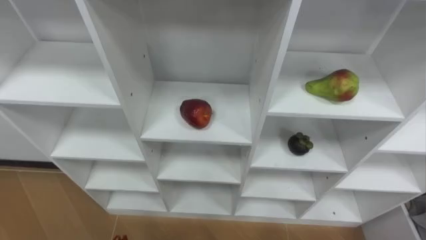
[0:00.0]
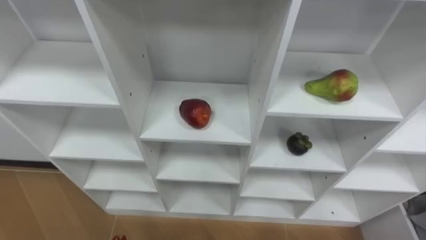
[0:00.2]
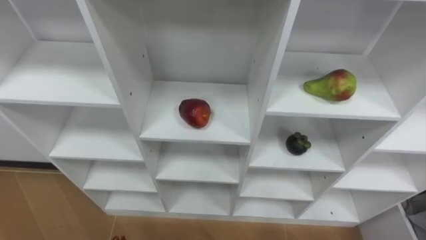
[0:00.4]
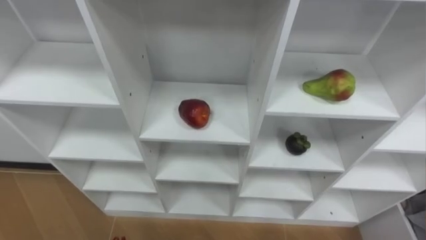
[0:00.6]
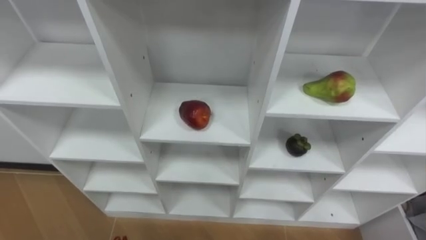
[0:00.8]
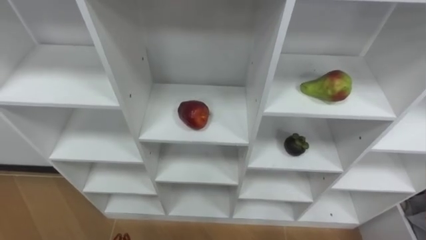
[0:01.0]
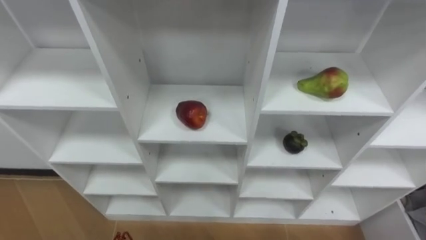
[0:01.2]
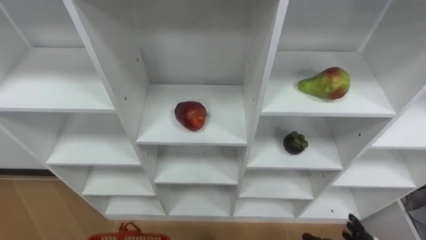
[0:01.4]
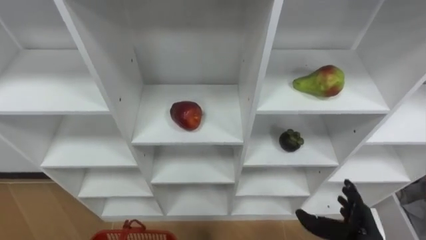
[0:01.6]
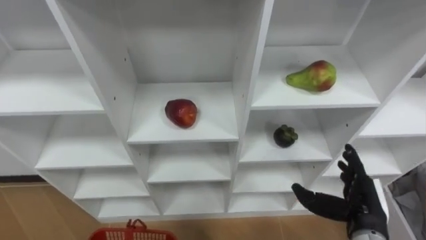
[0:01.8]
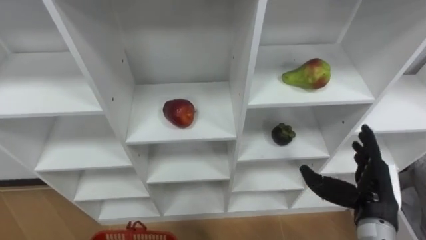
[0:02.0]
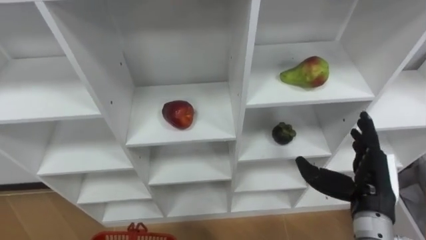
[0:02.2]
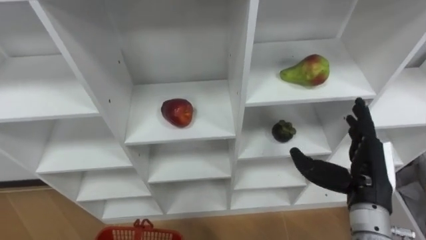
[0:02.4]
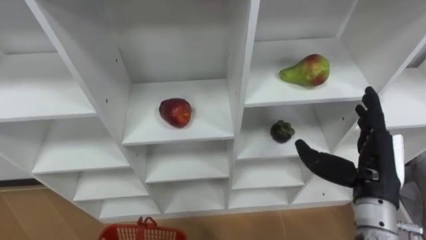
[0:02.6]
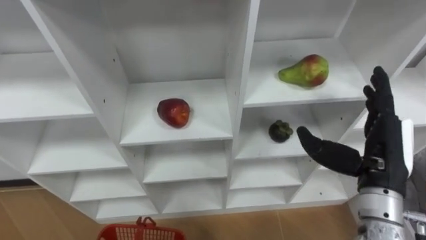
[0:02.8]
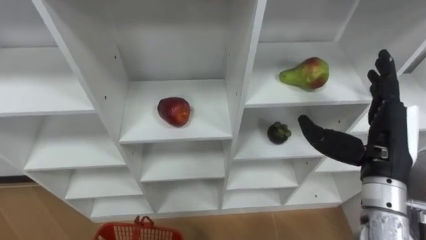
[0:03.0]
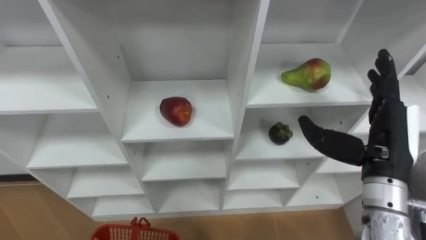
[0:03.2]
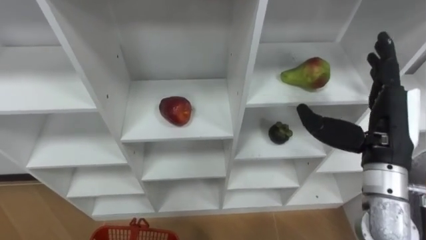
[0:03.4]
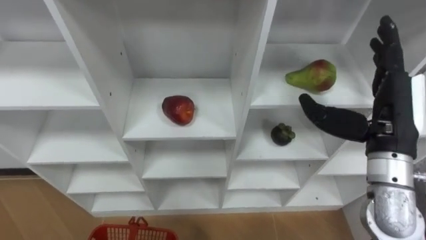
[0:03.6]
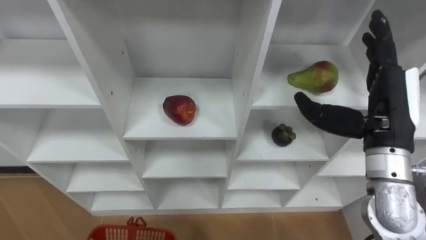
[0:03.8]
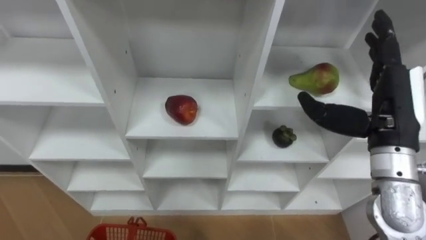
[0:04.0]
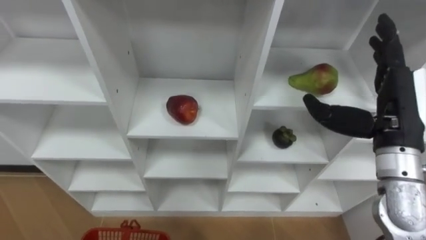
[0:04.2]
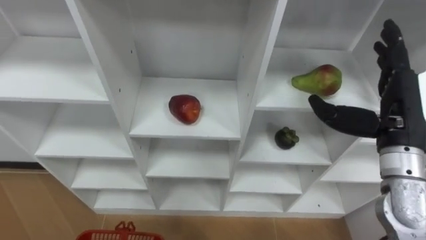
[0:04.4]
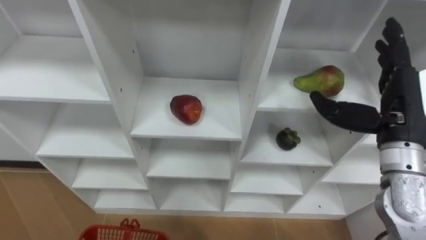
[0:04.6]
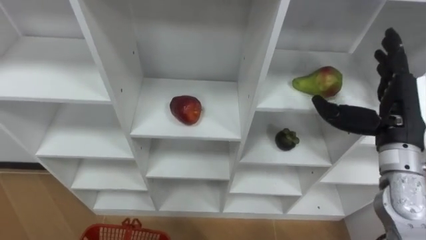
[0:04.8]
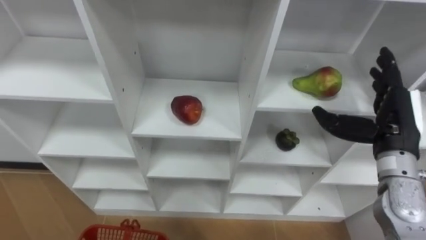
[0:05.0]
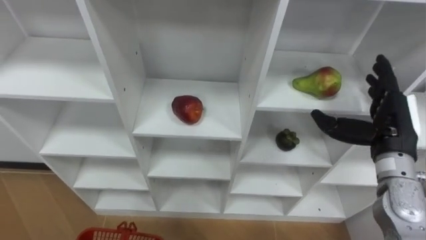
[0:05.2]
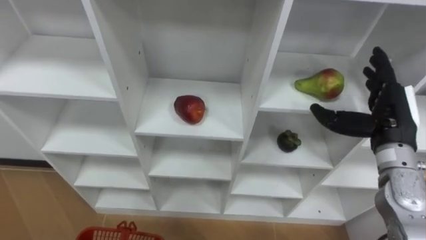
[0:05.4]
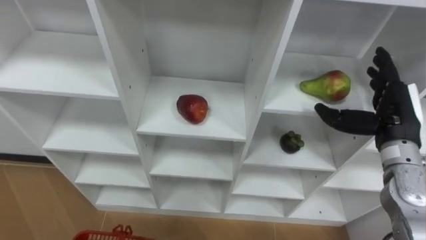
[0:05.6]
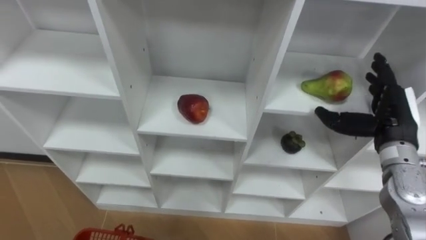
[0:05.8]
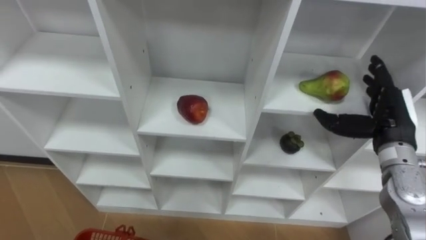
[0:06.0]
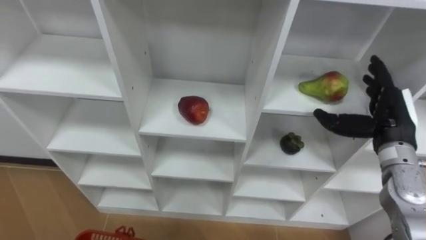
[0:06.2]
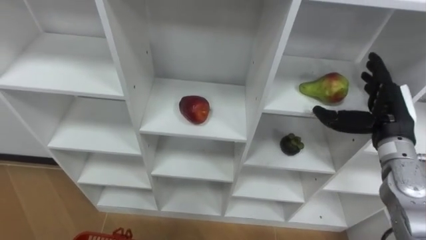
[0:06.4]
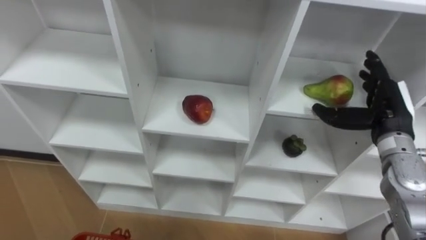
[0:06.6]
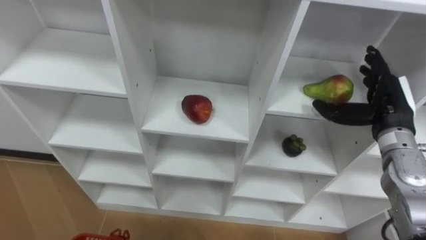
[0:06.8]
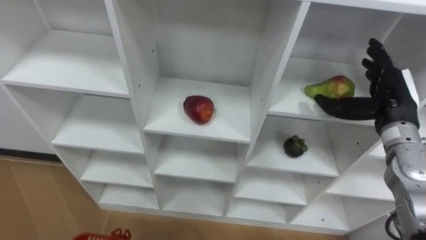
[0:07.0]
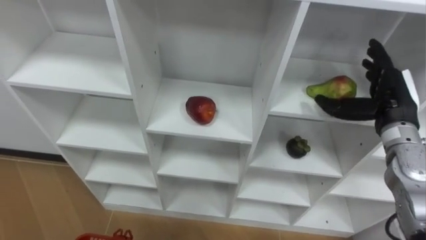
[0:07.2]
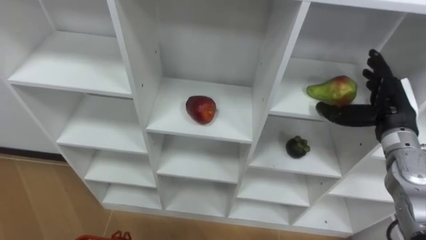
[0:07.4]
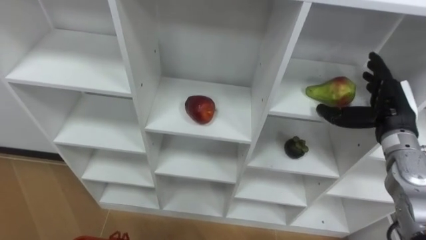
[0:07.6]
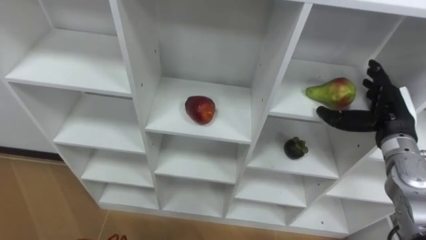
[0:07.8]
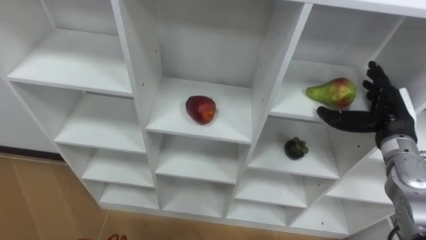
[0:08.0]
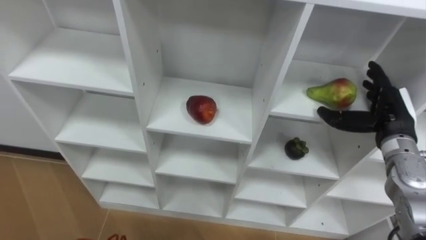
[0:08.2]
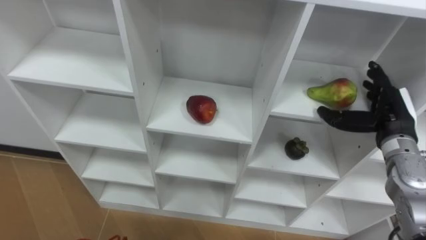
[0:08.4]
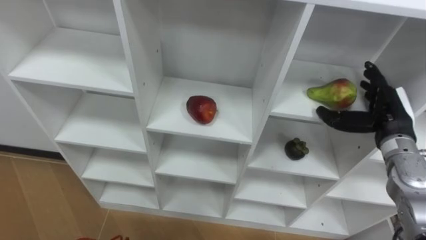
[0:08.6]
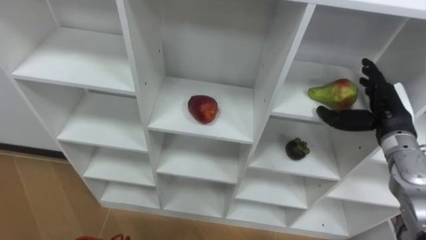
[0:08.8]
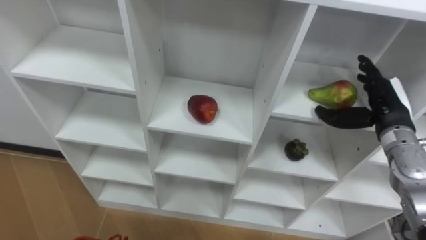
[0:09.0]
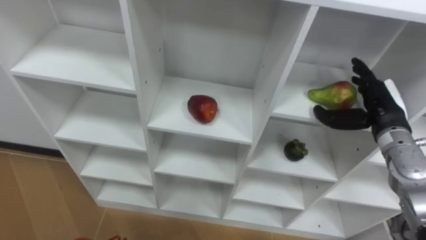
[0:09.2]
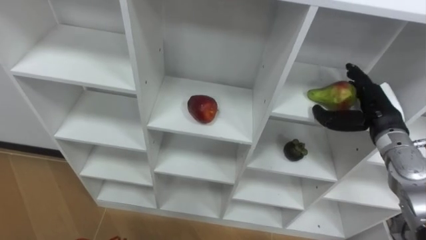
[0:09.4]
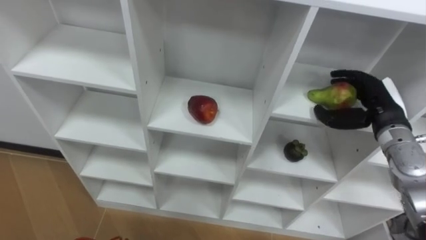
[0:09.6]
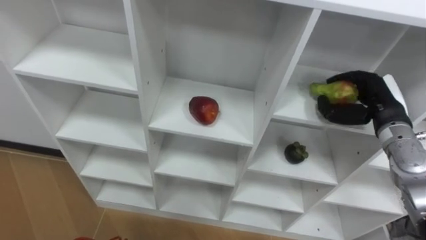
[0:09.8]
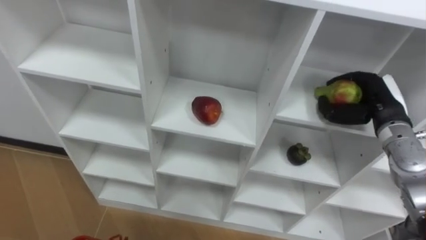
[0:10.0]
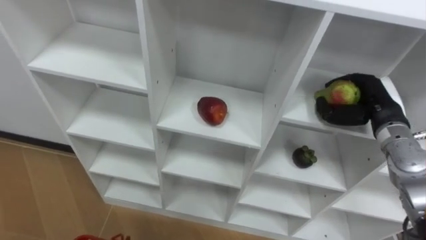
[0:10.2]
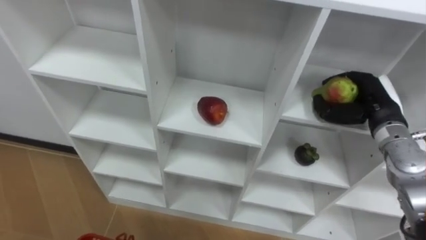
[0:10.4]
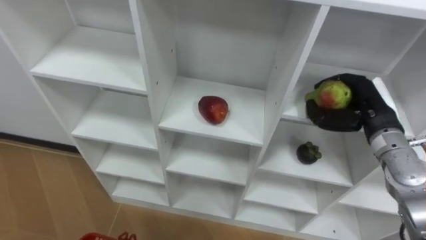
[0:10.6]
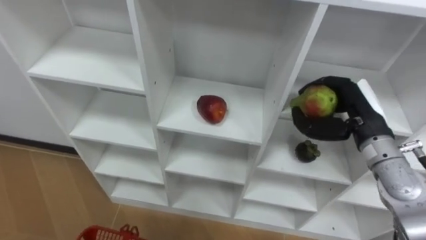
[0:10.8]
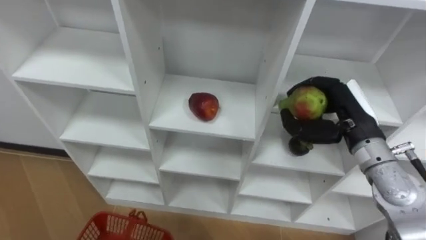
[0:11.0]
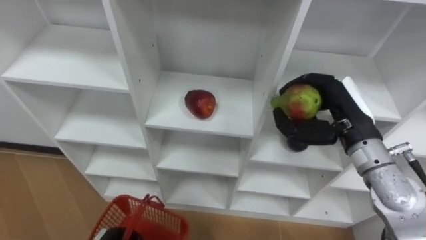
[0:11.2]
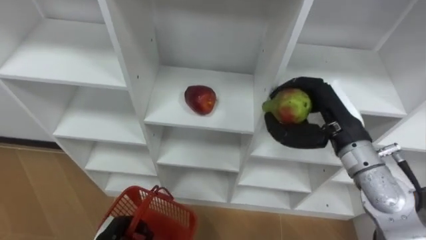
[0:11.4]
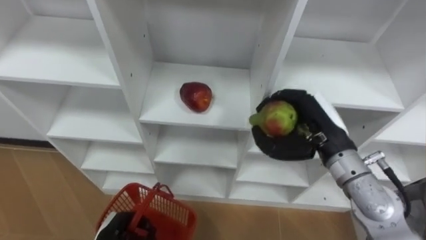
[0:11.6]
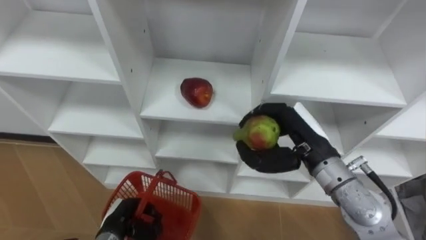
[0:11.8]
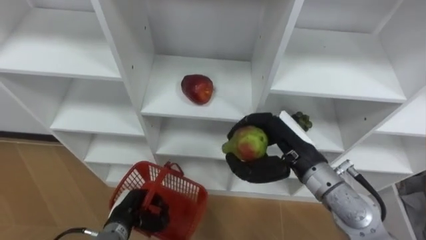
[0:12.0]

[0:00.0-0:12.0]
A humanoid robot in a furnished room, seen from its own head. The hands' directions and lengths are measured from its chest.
Task of the whole recording: Hold the basket and collect the fruits from 3 different cells of the closet into it.
0:01.6 to 0:03.0: The right hand moves upward, roughly 20 cm.
0:04.4 to 0:06.0: The right hand heads downward, covering approximately 5 cm.
0:09.0 to 0:10.4: The right hand closes up.
0:10.4 to 0:12.0: The right hand goes some 20 cm to the left and backward.

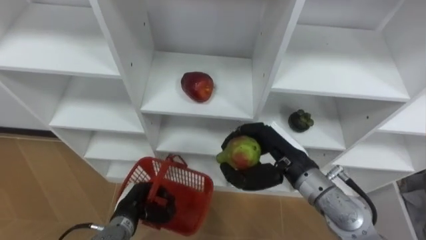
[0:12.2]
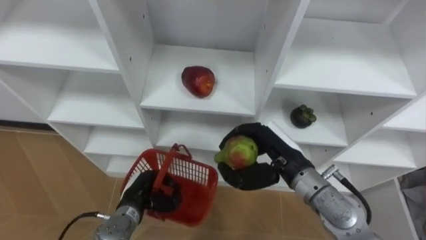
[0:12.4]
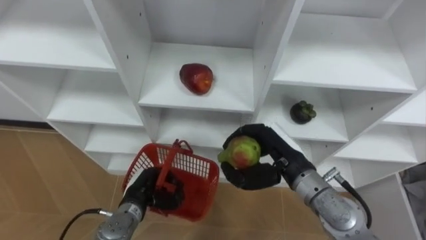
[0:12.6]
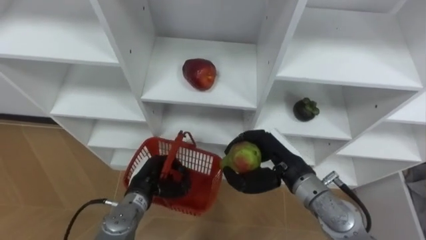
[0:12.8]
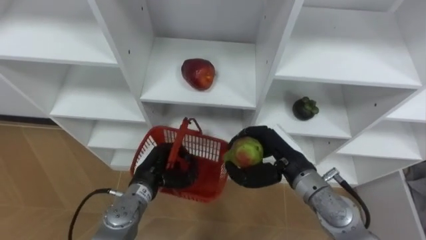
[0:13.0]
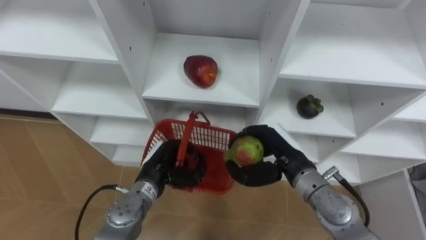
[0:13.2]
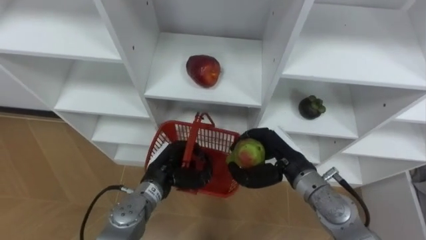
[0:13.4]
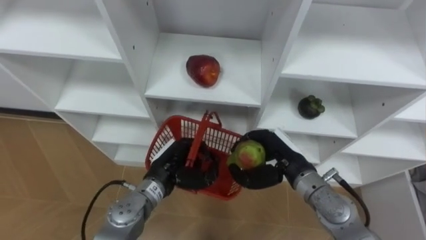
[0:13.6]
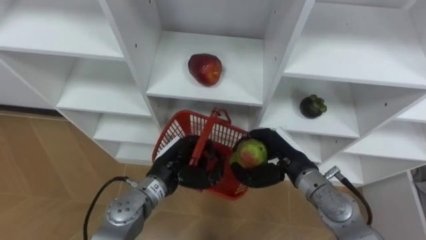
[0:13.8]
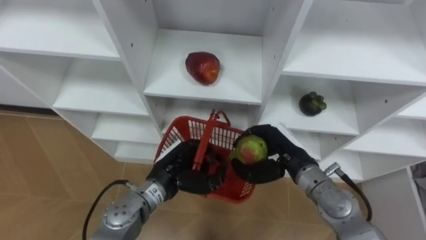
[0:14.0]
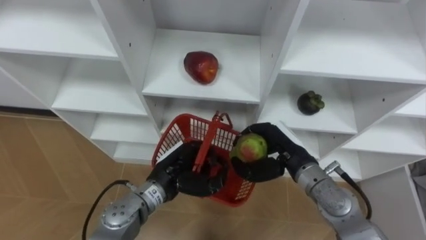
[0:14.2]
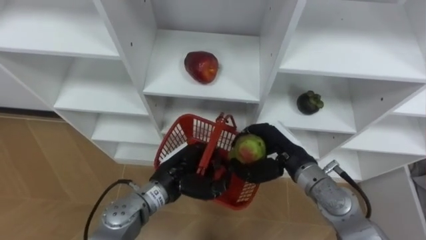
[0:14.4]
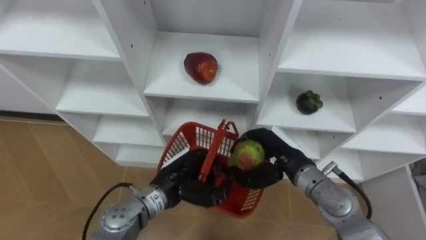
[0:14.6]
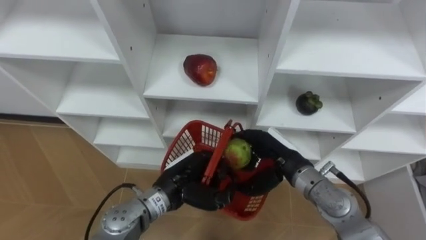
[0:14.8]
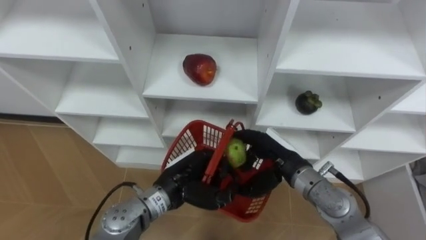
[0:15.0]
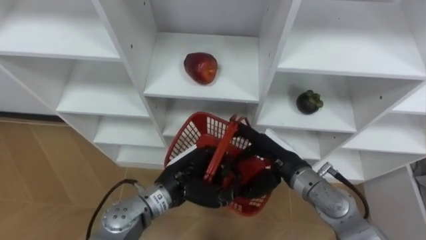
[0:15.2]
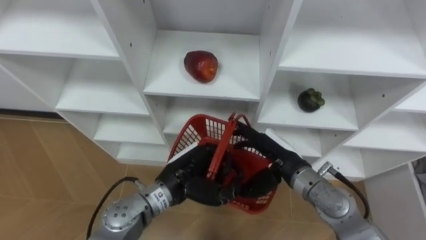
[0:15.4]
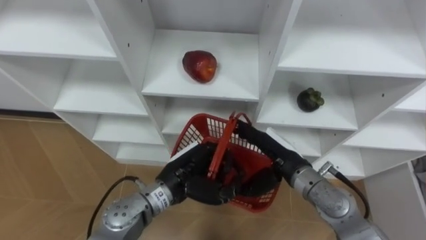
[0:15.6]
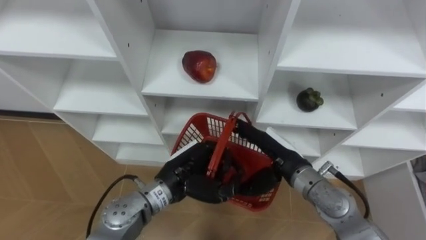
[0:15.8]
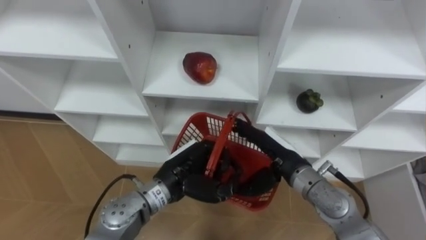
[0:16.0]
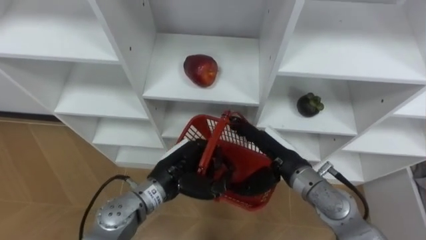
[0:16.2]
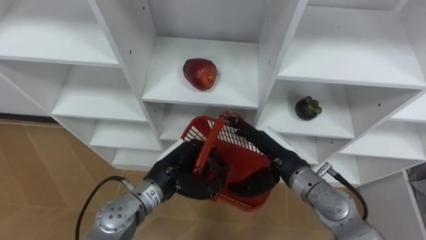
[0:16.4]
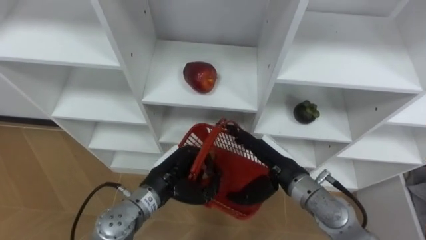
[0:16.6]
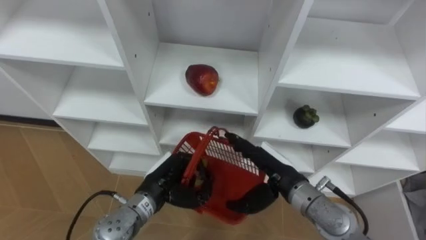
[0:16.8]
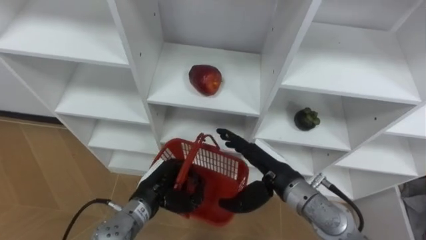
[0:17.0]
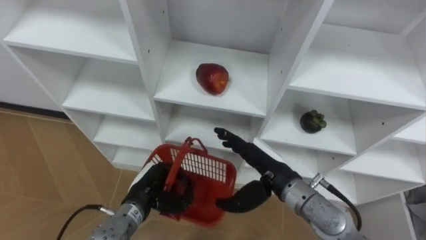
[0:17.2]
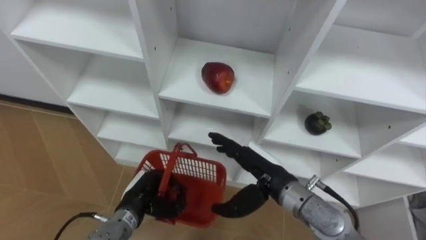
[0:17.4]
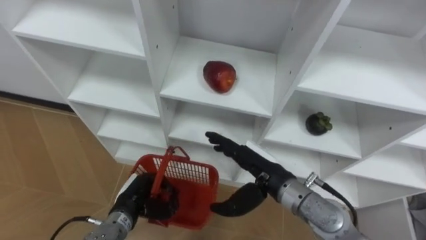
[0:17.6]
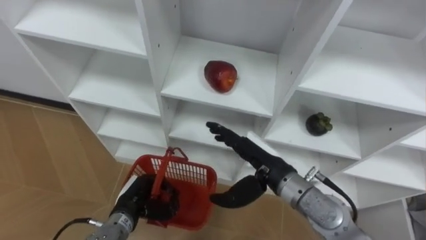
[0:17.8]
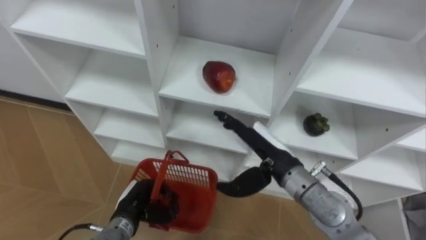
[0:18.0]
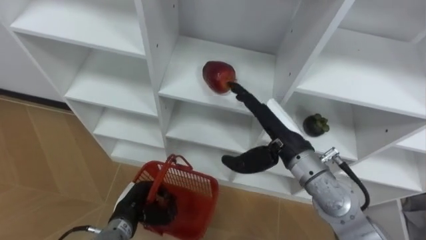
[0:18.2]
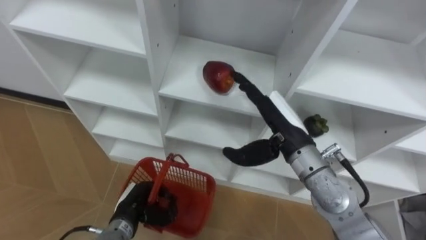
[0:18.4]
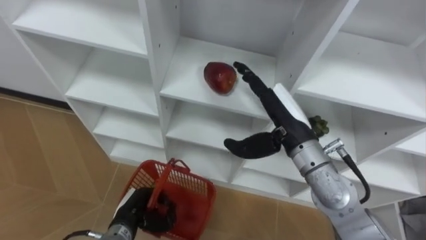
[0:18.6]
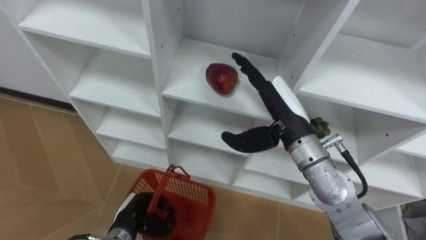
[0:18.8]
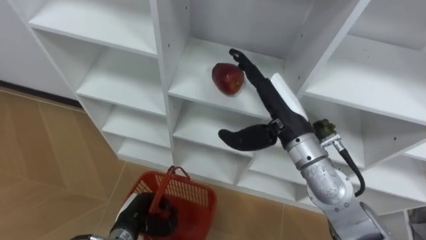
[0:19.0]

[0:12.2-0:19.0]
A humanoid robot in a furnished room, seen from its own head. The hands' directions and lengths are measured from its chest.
Task of the whole recording: Hold the basket and collect the fruits from 3 different cells of the closet into it.
0:12.2 to 0:13.6: The right hand moves some 5 cm. The left hand travels upward, to the right and forward by approximately 15 cm.
0:13.6 to 0:15.0: The right hand opens.
0:15.0 to 0:16.2: The right hand opens up.
0:16.2 to 0:17.6: The left hand shifts approximately 15 cm to the left and downward.
0:17.6 to 0:19.0: The right hand heads upward and forward, covering about 10 cm.
